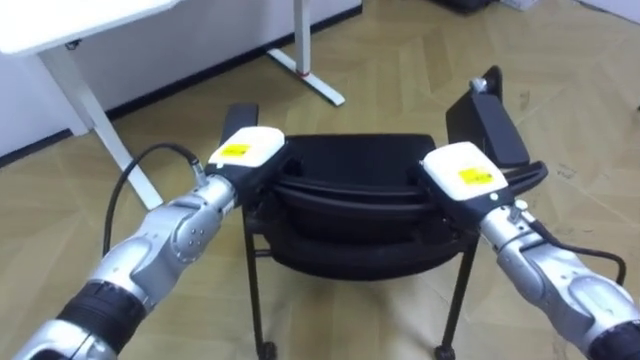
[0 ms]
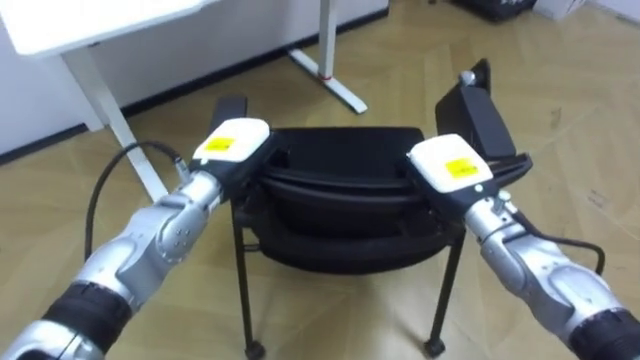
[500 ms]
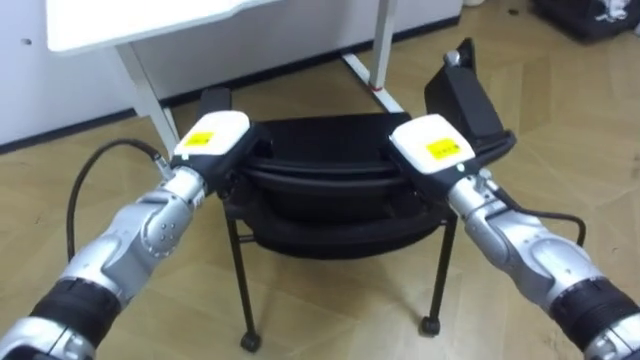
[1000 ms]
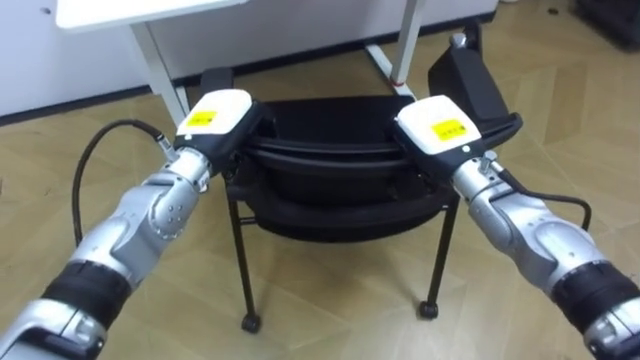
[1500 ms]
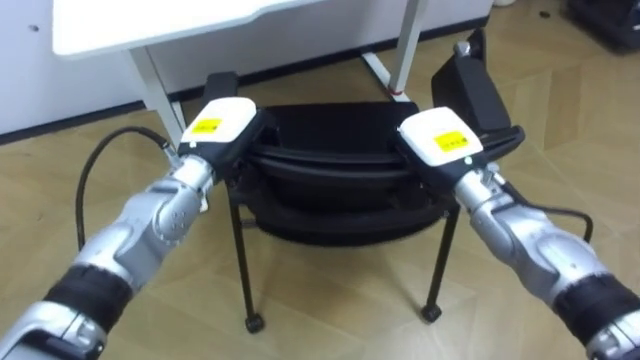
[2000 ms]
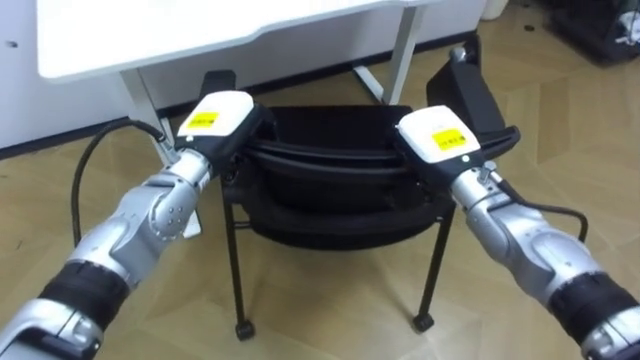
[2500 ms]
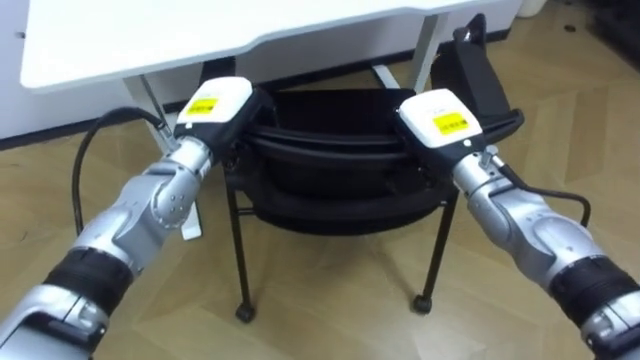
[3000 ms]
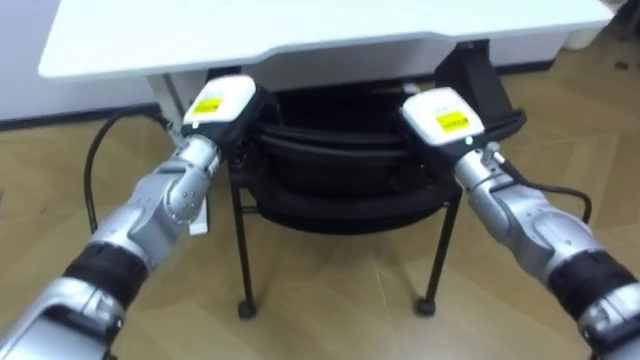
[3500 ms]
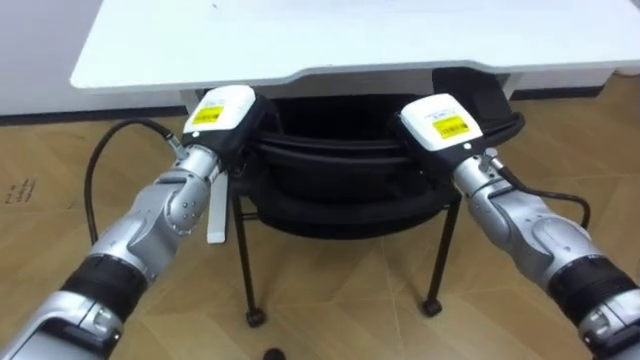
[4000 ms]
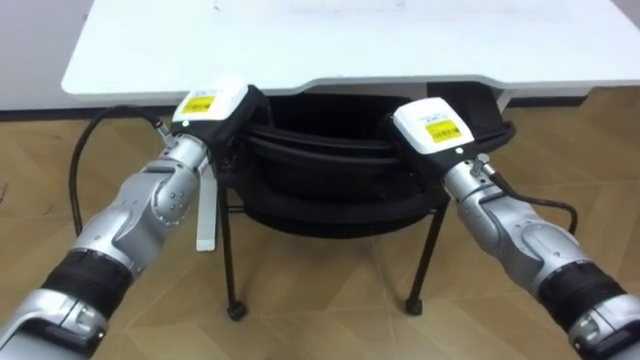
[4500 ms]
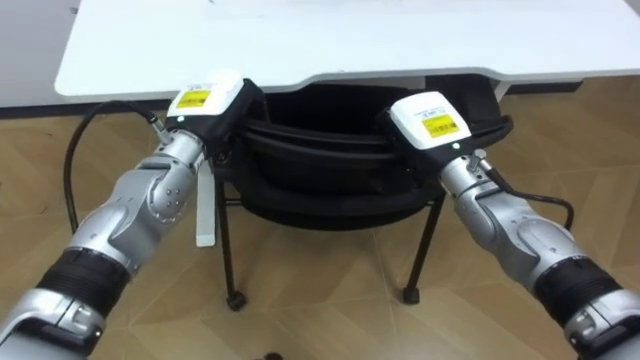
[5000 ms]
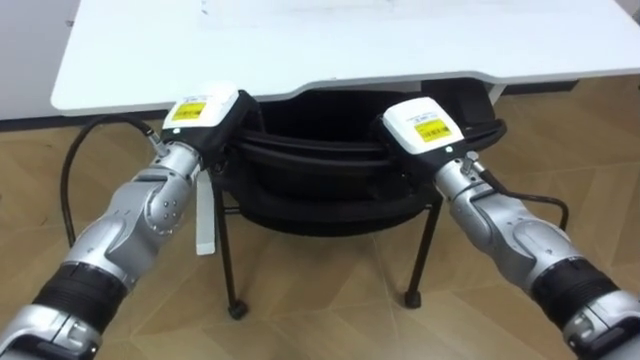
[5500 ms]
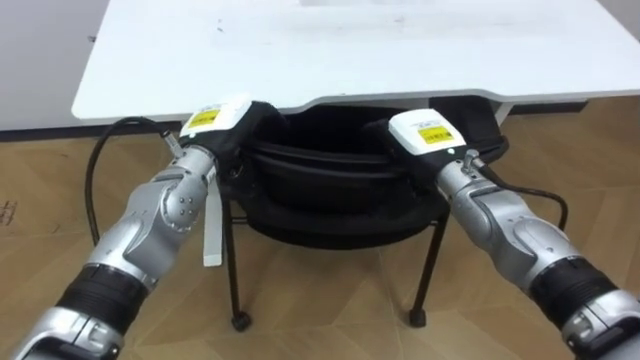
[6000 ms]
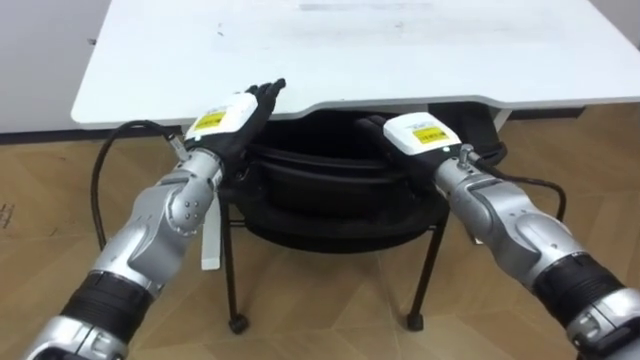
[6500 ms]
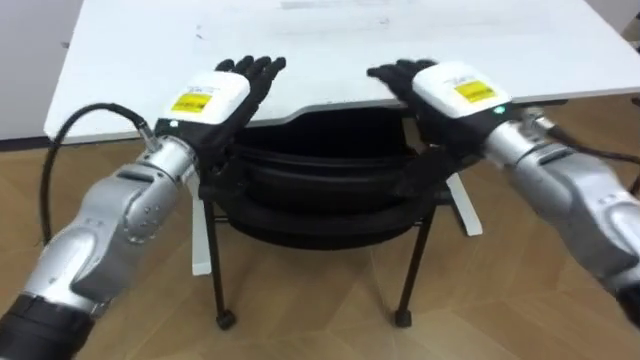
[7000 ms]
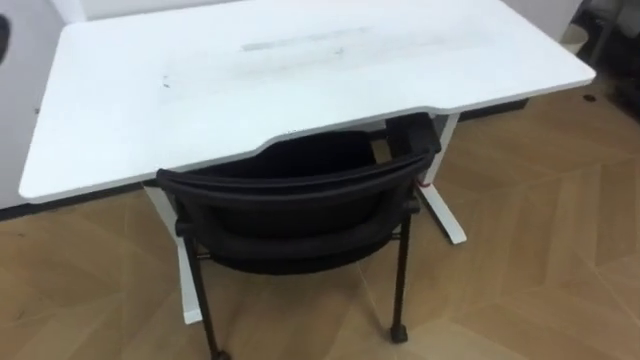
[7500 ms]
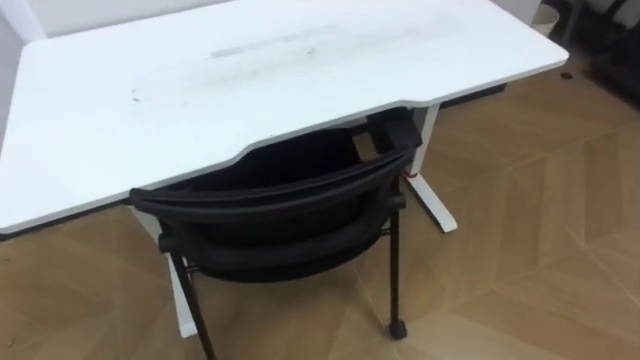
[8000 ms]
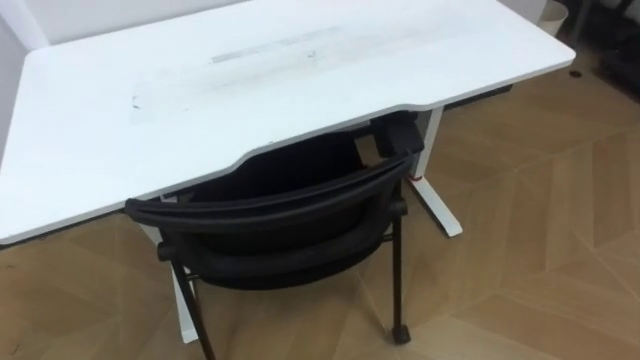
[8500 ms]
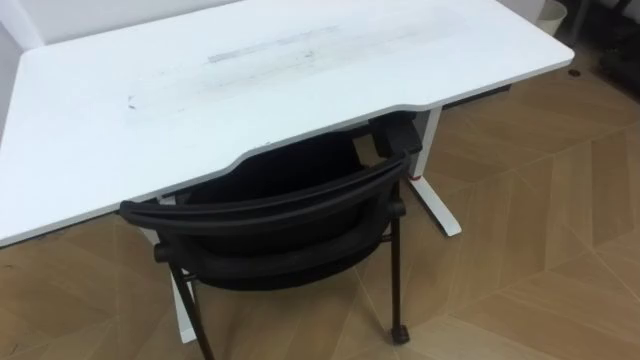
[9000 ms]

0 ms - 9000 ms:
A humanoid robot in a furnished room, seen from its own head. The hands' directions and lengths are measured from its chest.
Task of the whole recording: Push the chair under the table.
0 ms - 2000 ms: The right hand changes place by about 5 cm.
4500 ms - 7000 ms: The right hand shifts roughly 5 cm upward, and opens its fingers; the left hand ends up approximately 5 cm from where it was, and opens.

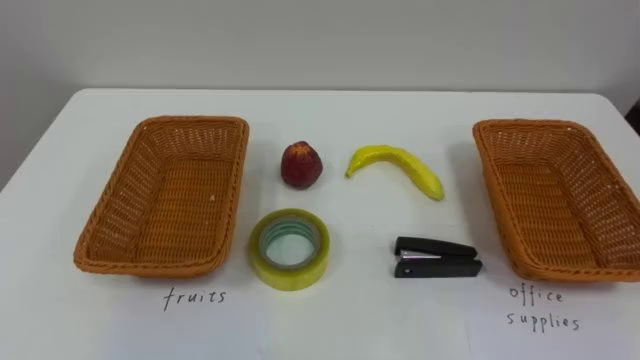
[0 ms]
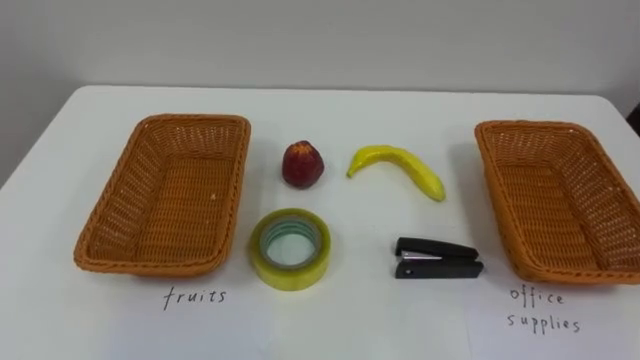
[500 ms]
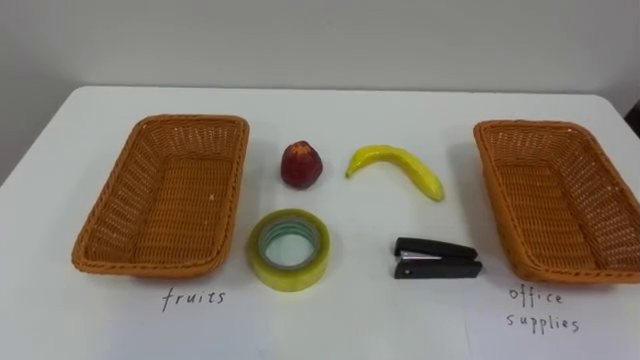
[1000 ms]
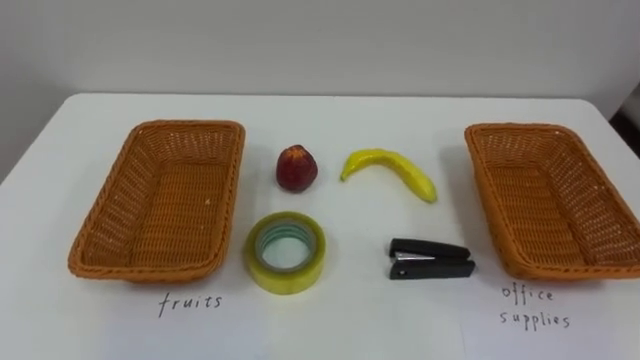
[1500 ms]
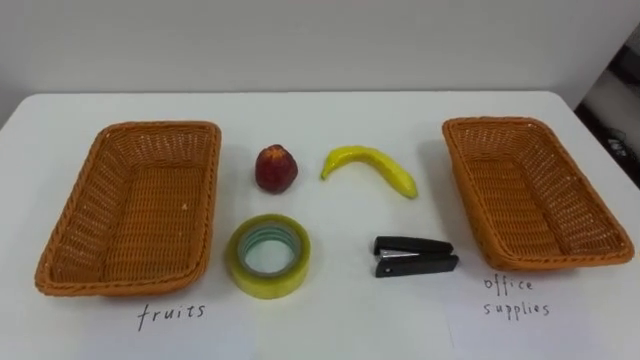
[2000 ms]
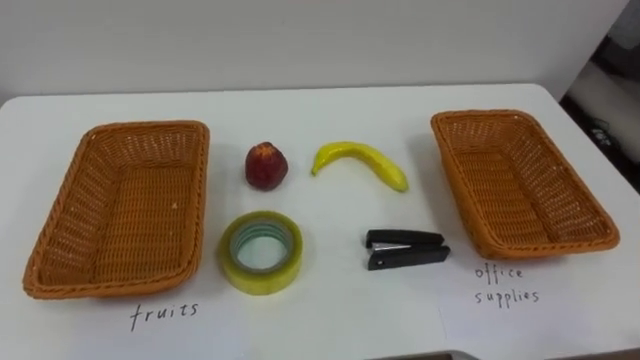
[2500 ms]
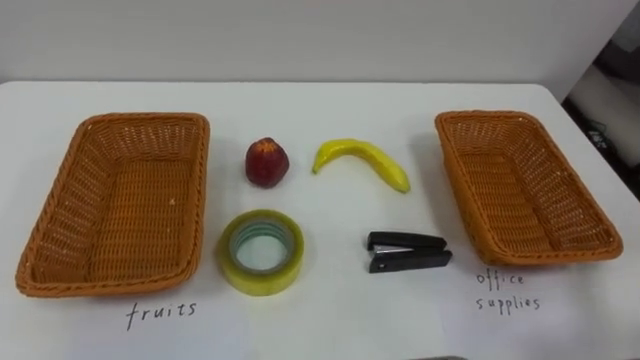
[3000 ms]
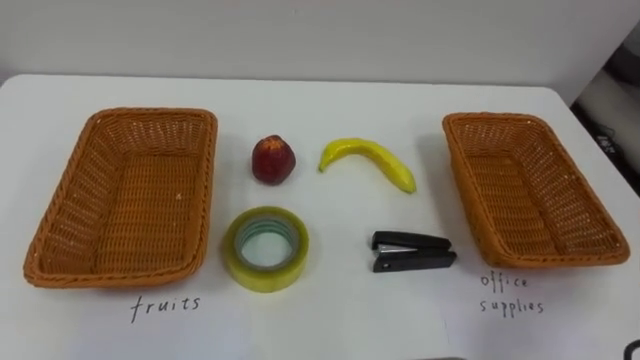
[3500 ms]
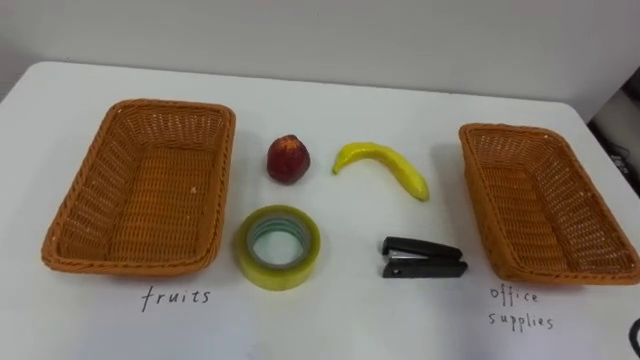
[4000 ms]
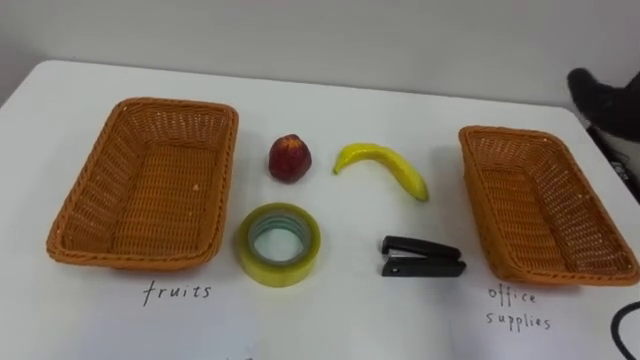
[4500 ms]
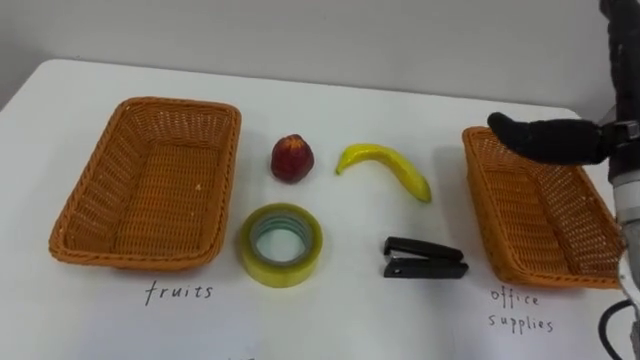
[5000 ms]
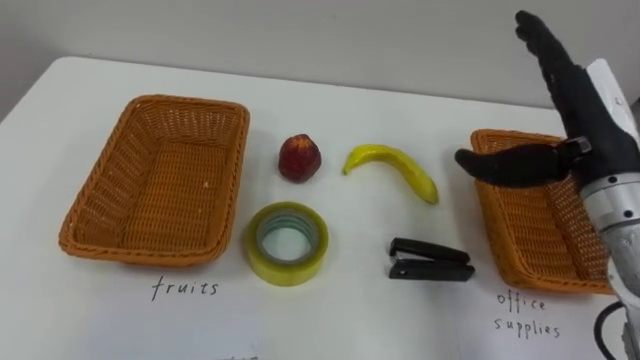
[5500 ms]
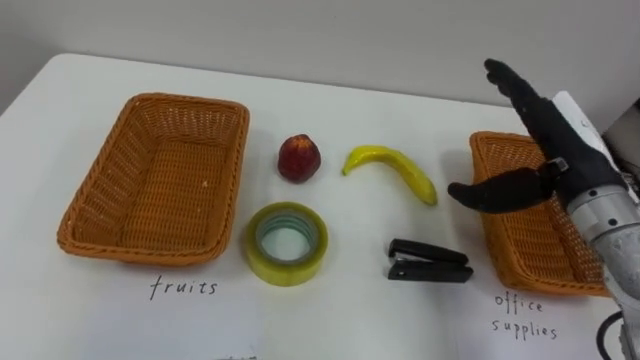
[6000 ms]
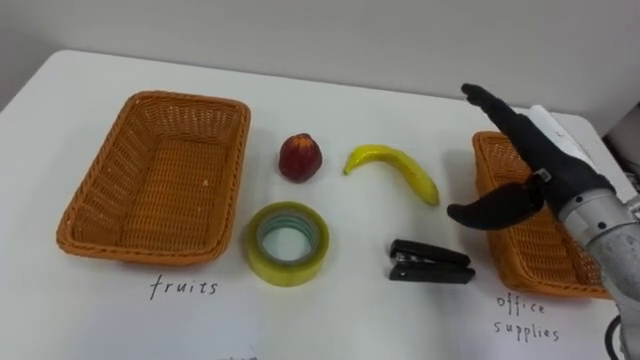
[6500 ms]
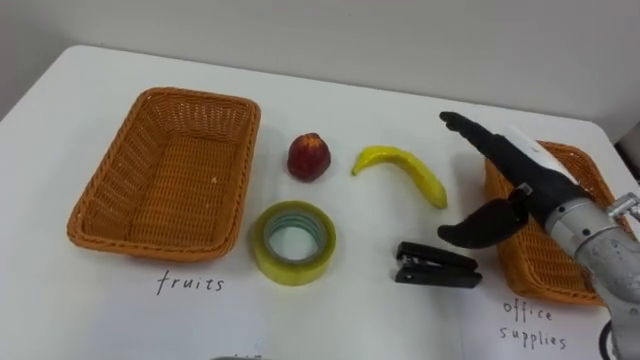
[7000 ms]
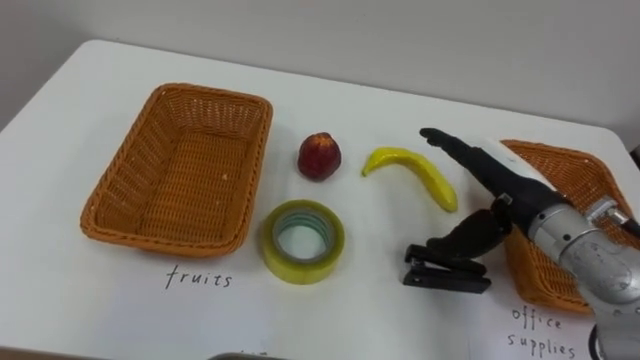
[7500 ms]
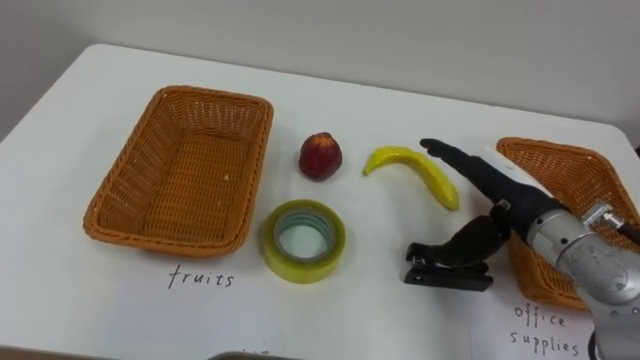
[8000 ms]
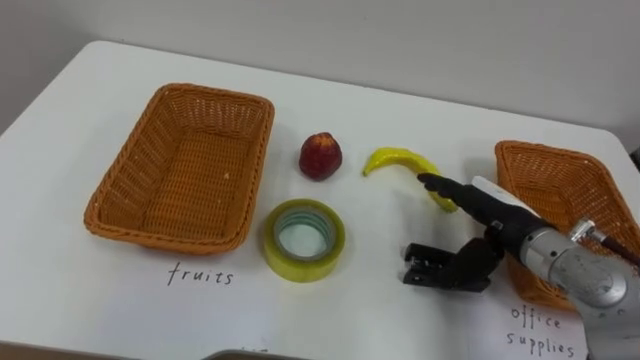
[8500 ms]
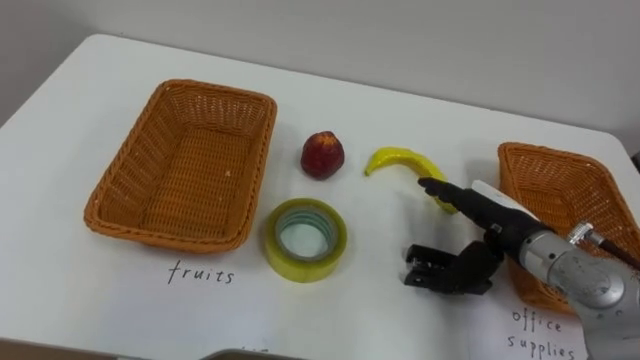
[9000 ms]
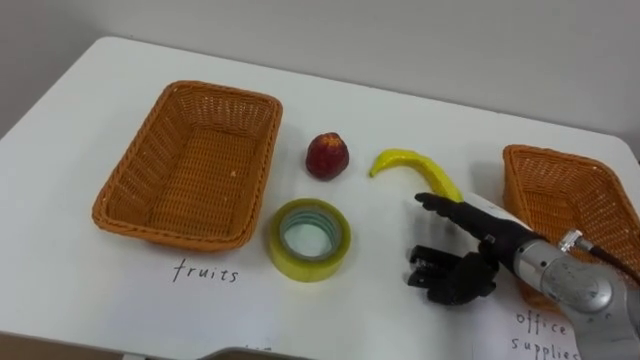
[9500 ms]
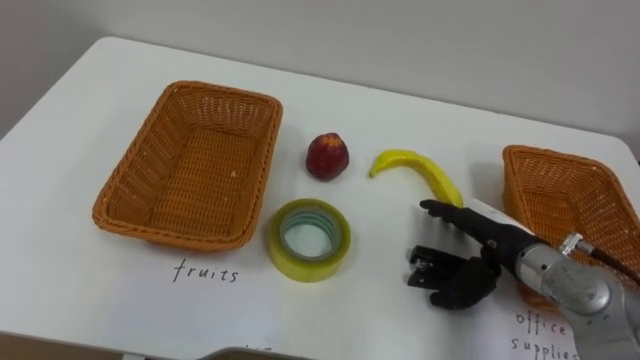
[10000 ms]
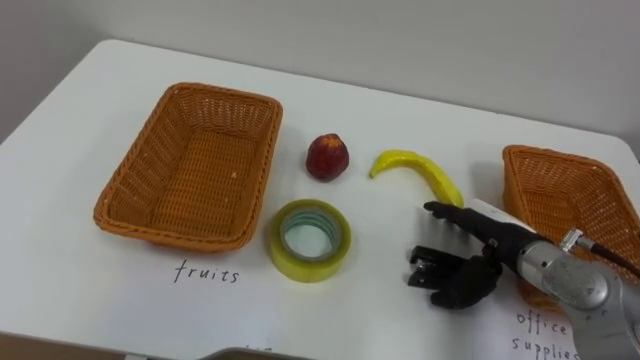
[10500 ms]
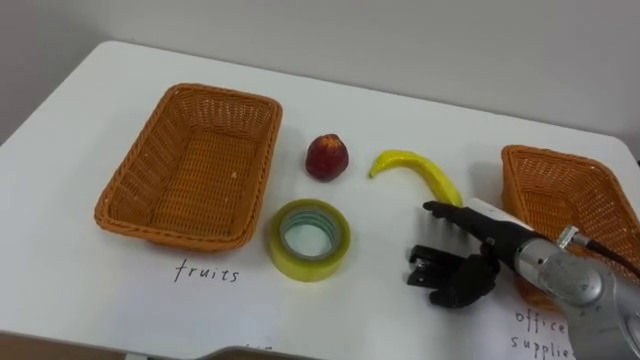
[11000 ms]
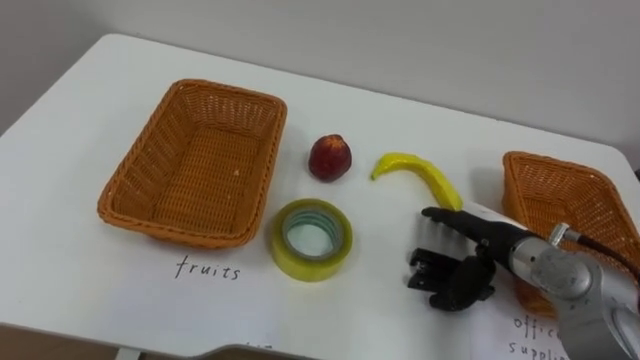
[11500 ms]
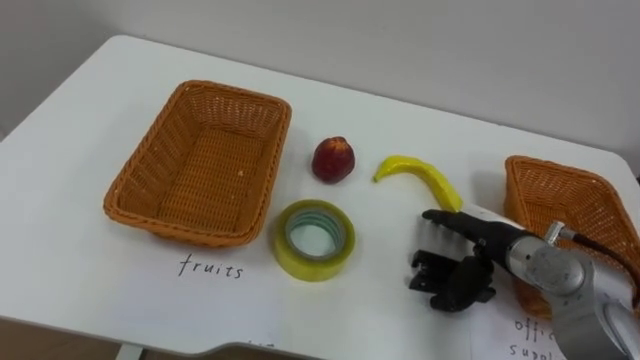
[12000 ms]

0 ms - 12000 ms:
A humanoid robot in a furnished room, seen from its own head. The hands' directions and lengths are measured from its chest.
Task of the whole recording: Separate the items on the table and place them into the two baskets.
6000 ms - 8000 ms: The right hand shifts approximately 5 cm downward.
8000 ms - 10000 ms: The right hand heads downward, covering roughly 5 cm.
